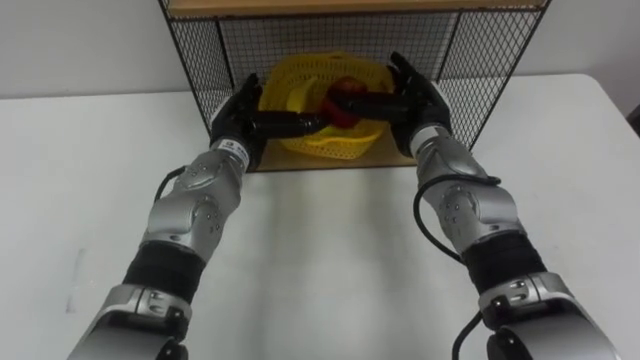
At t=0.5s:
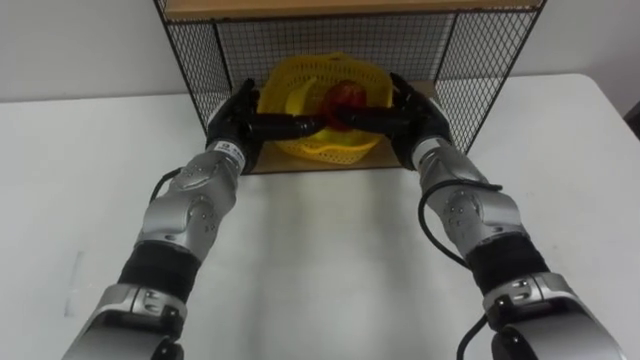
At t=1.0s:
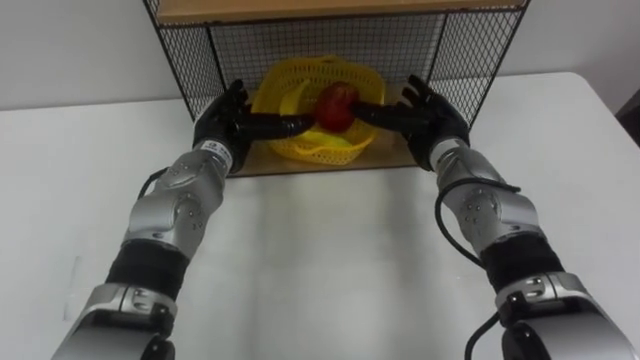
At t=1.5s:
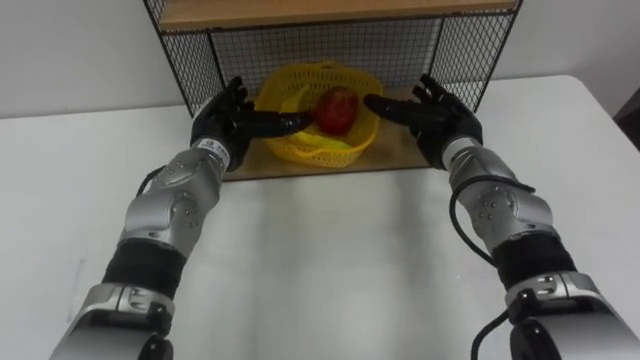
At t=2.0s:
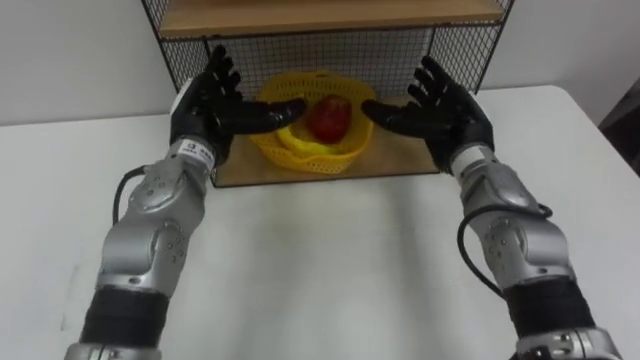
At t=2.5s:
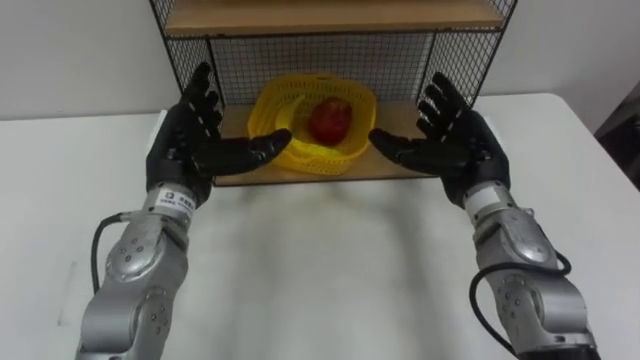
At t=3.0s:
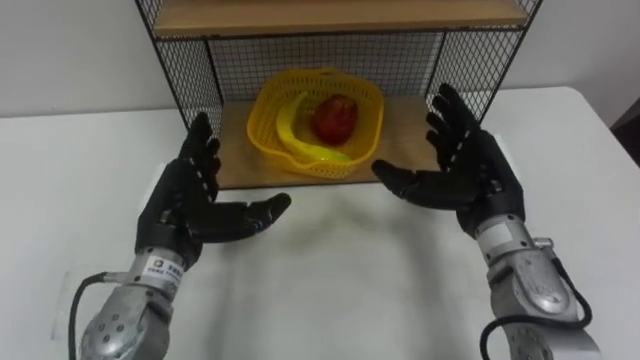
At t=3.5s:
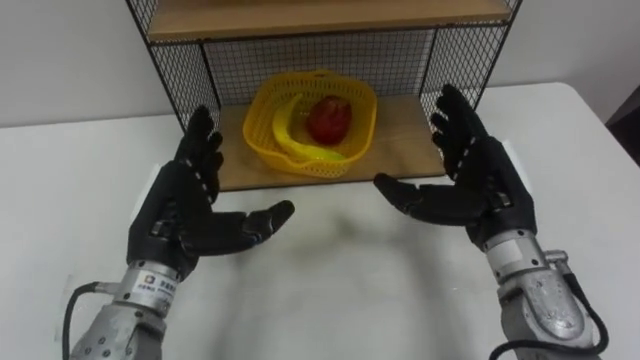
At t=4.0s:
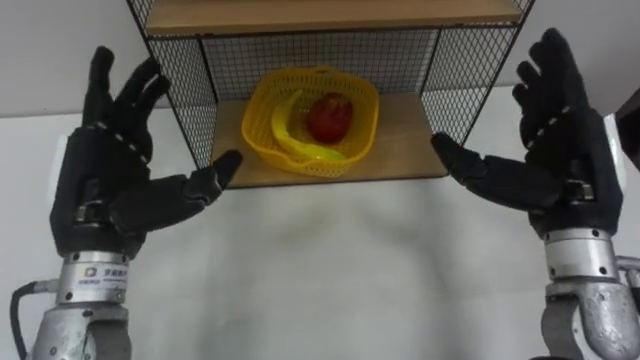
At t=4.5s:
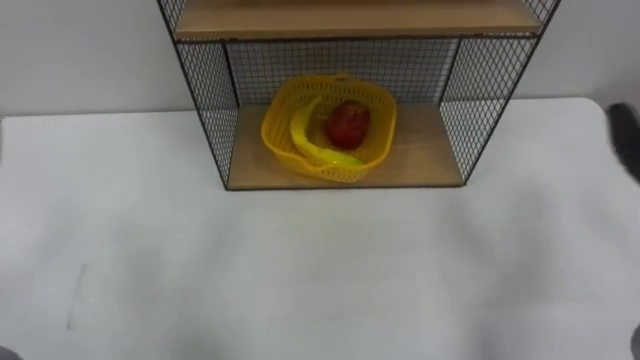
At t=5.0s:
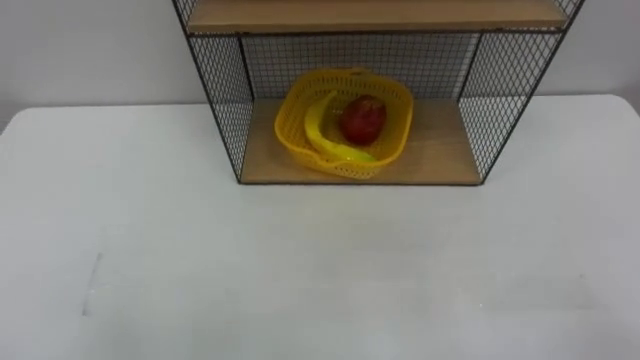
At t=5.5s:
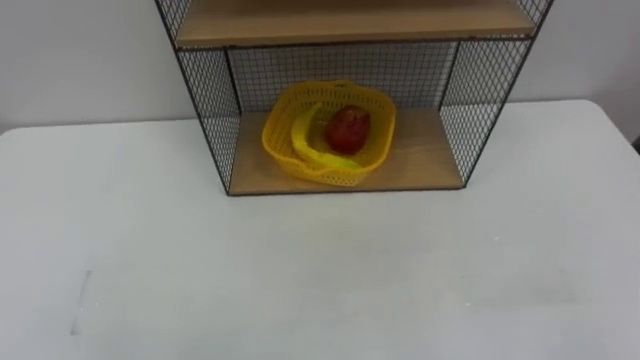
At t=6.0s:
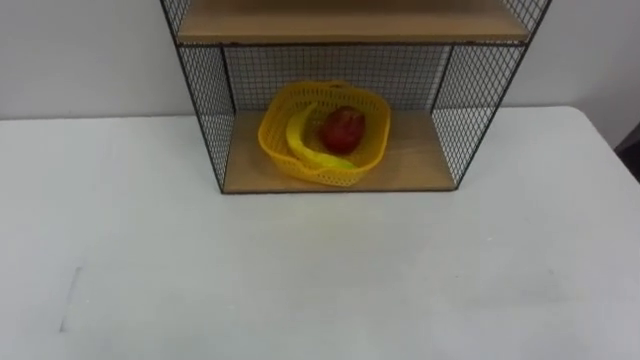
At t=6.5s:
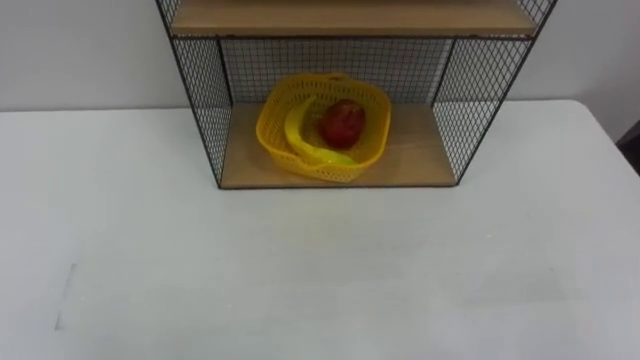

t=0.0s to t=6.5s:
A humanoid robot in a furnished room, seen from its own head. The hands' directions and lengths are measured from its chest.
Task of the whole recording: Put the fruit on the table into the basket, then place the basket on the shelf.
t=0.0s to t=2.0s: The right hand moves roughly 5 cm. The left hand shifts by approximately 5 cm.

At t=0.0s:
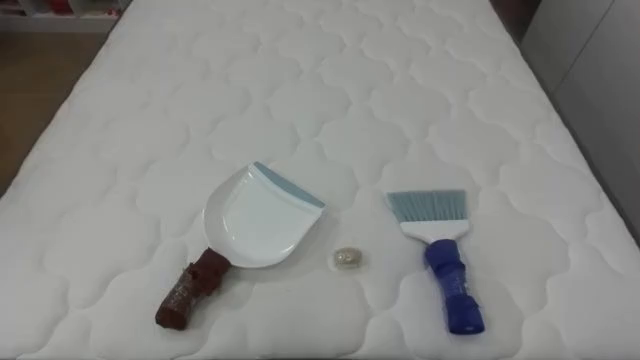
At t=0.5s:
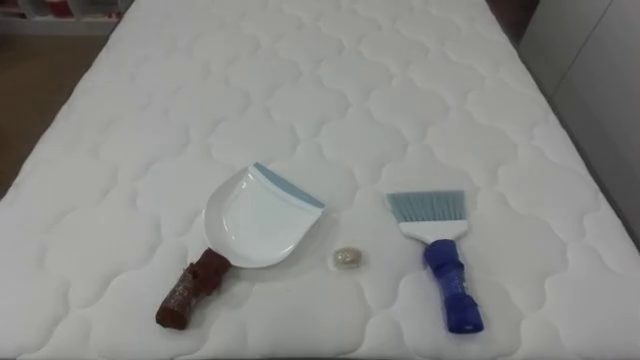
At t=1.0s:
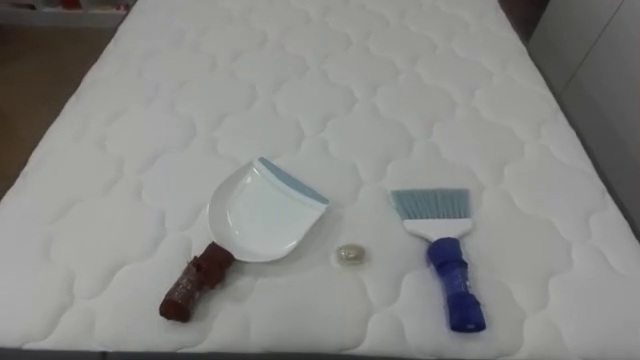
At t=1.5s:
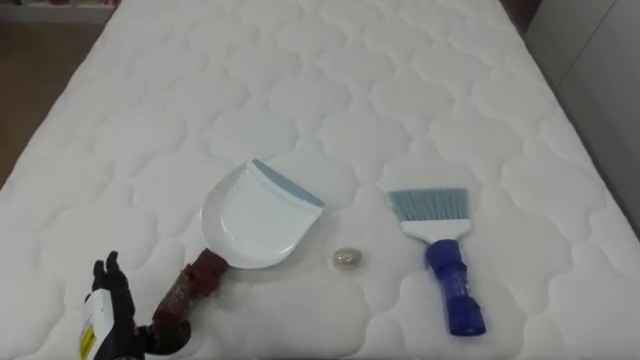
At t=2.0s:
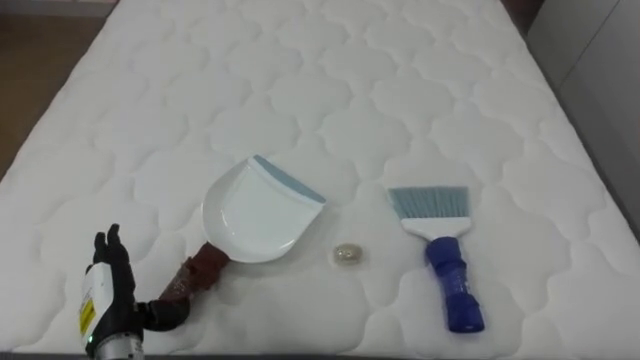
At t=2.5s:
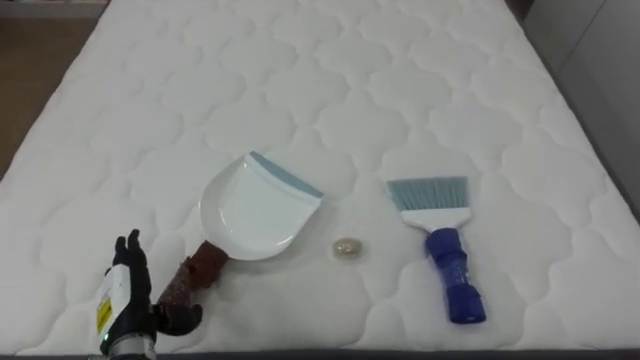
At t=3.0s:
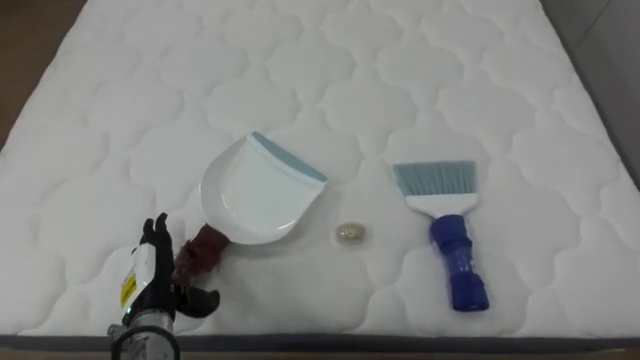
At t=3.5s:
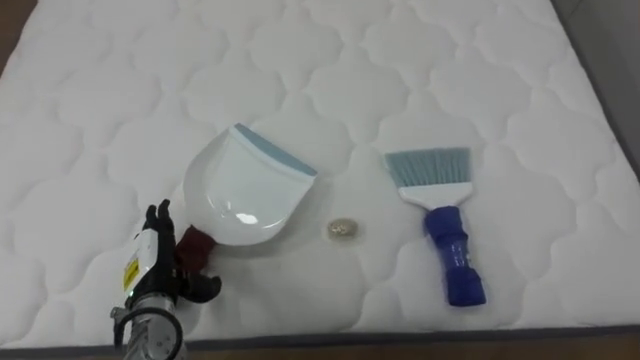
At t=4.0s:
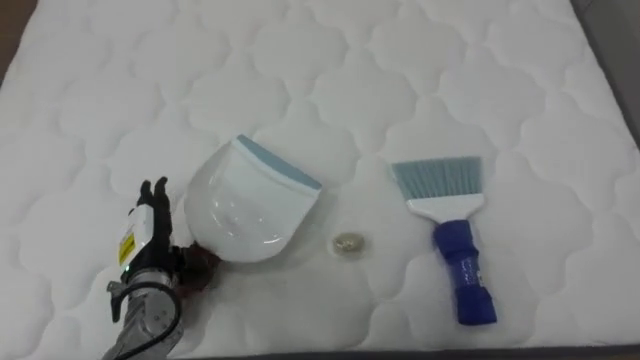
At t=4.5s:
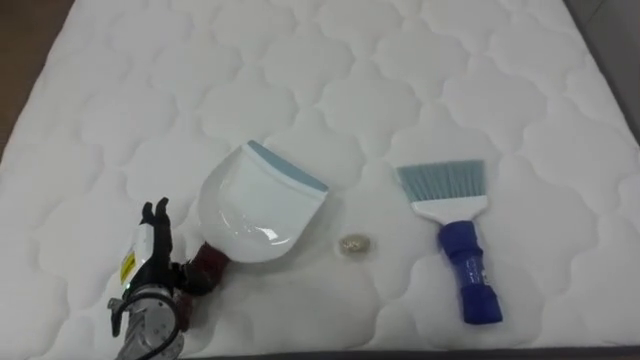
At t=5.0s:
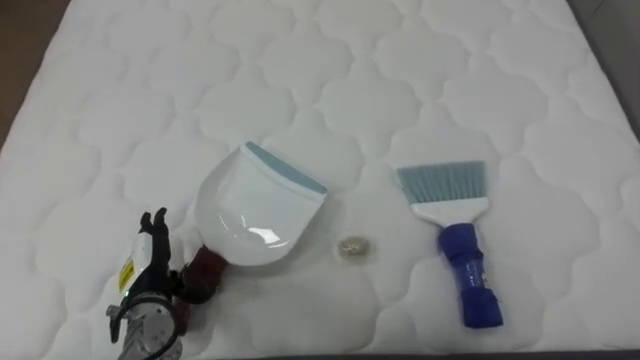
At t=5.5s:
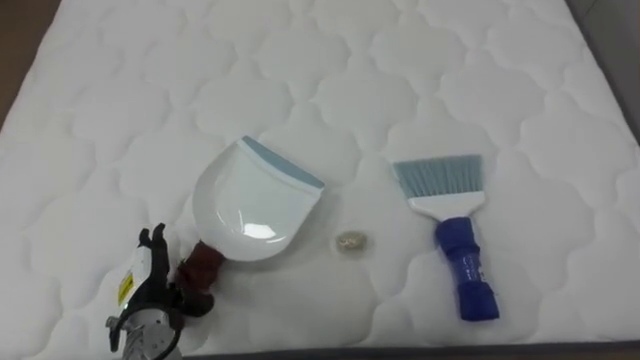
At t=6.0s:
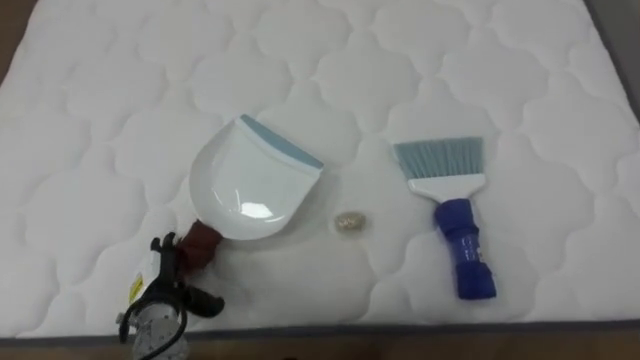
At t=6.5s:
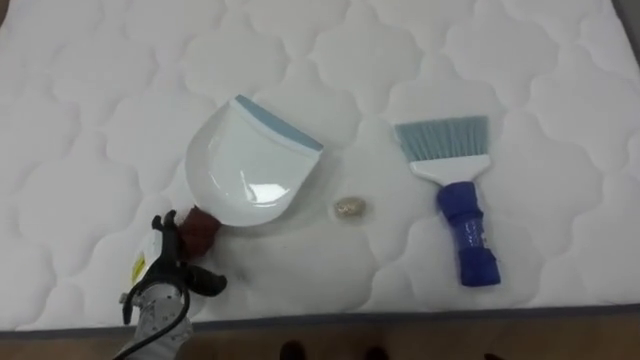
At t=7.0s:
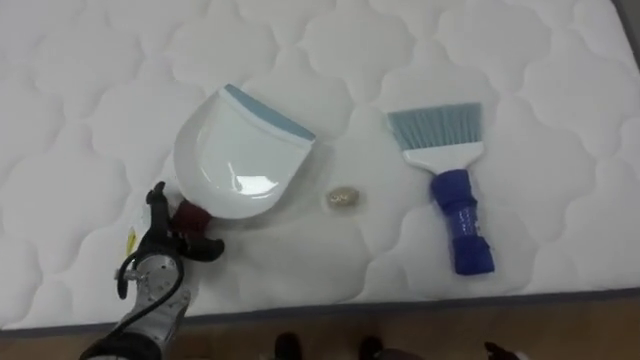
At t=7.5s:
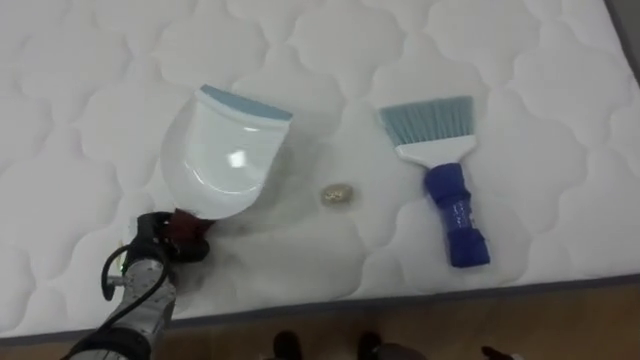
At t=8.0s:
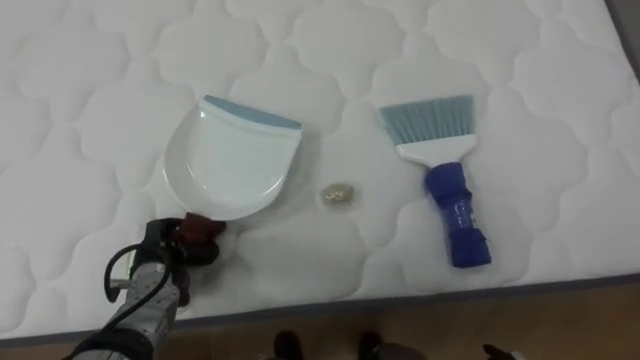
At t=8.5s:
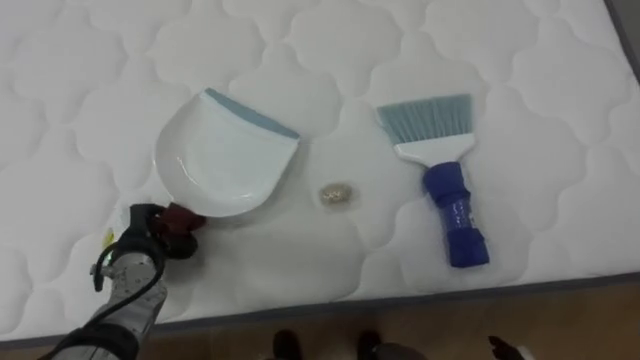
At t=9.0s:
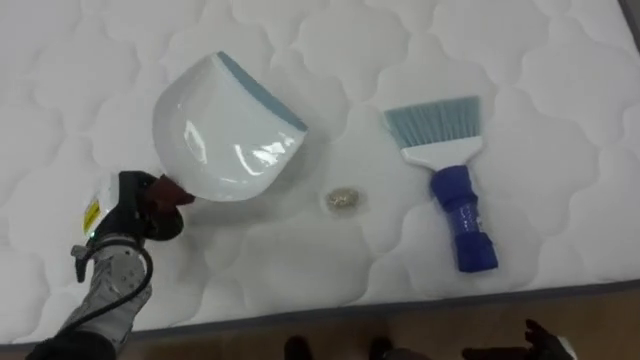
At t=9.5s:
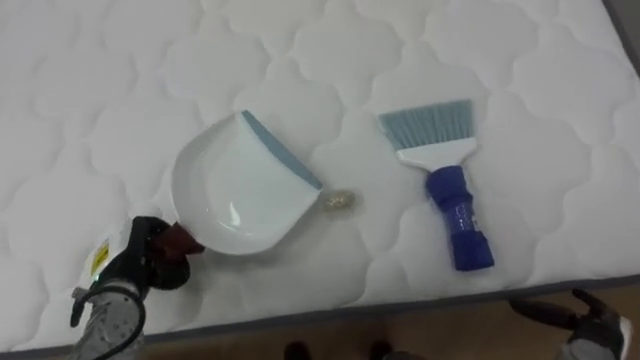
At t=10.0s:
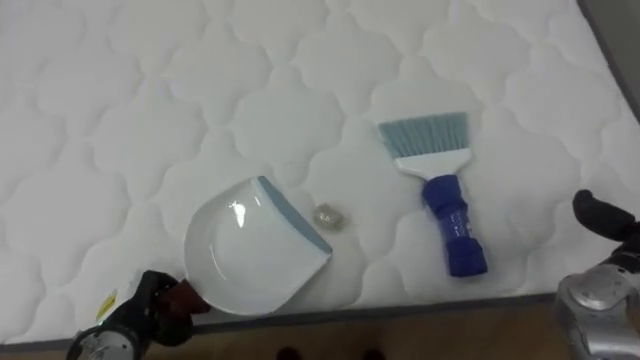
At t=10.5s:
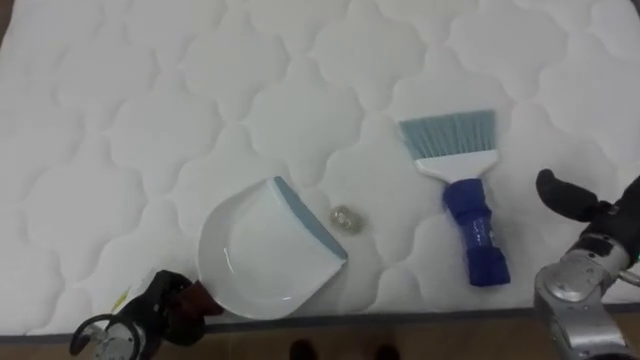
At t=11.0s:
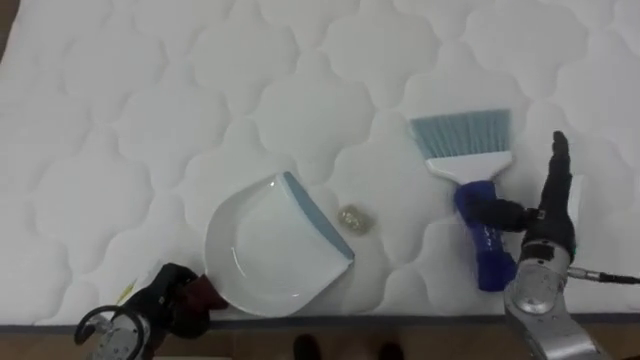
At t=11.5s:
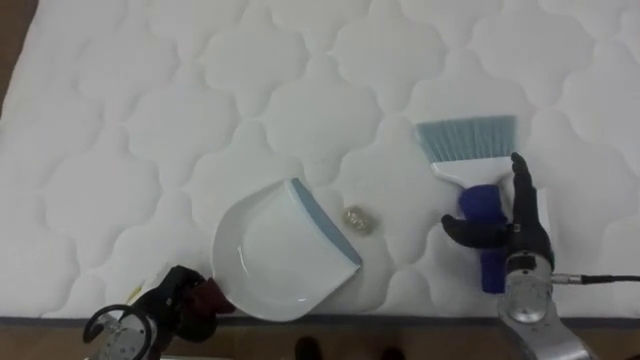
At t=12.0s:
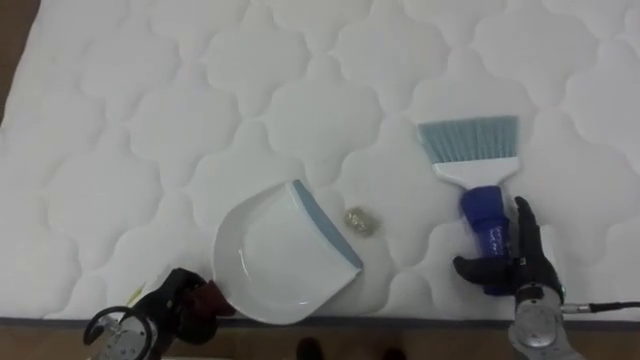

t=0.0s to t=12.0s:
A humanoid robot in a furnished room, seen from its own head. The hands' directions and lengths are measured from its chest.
Task of the whole recording: Pick up the brush on your right and the dustpan on your left. Use the brush to sweep the crumpled paper on the bed into the dustpan, then turn left and empty it into the basket.
t=2.0s to t=4.0s: The left hand goes about 10 cm forward.
t=4.0s to t=6.0s: The left hand is displaced downward by about 5 cm.
t=6.0s to t=8.0s: The left hand ends up roughly 5 cm from where it was, and closes up.
t=8.0s to t=10.0s: The left hand heads backward, covering about 10 cm.

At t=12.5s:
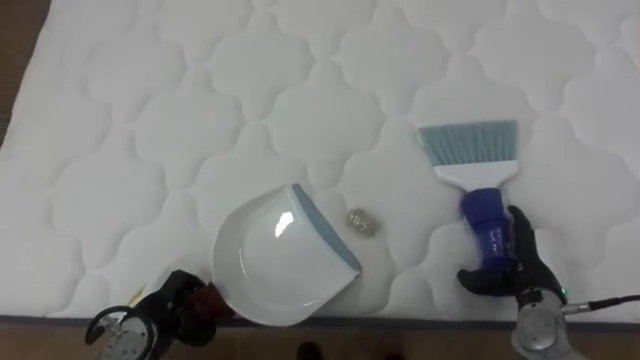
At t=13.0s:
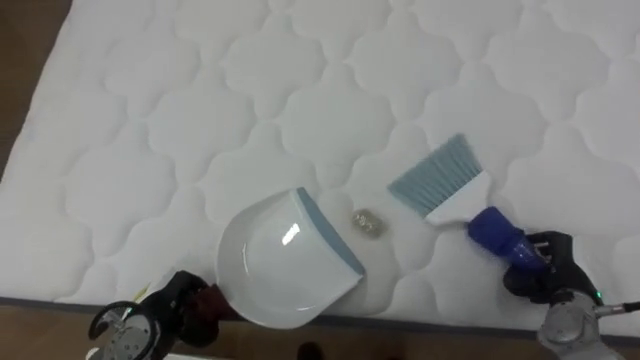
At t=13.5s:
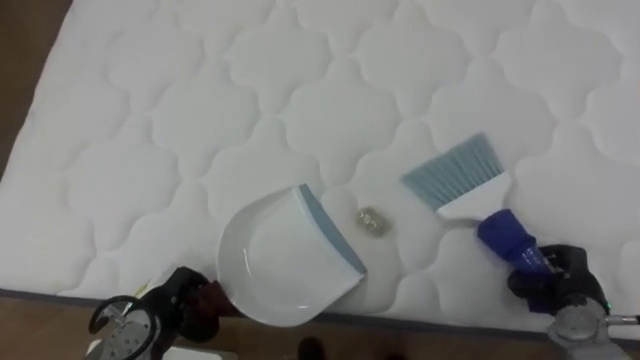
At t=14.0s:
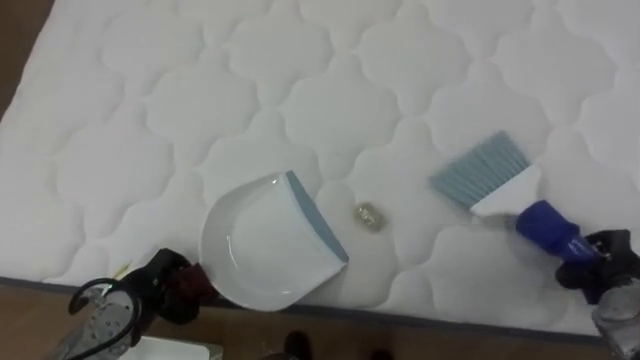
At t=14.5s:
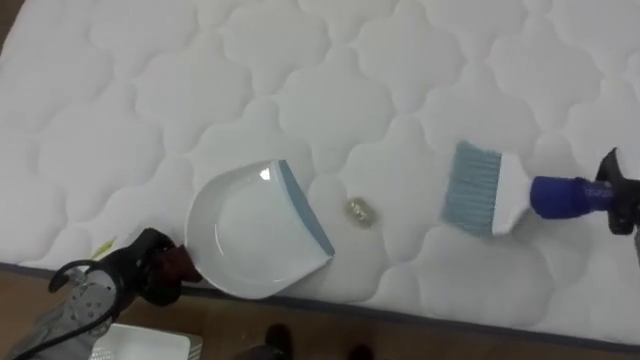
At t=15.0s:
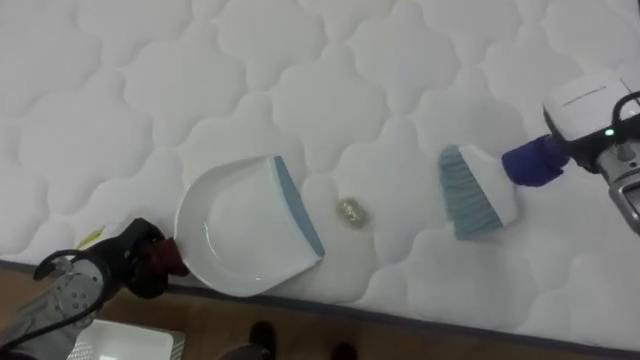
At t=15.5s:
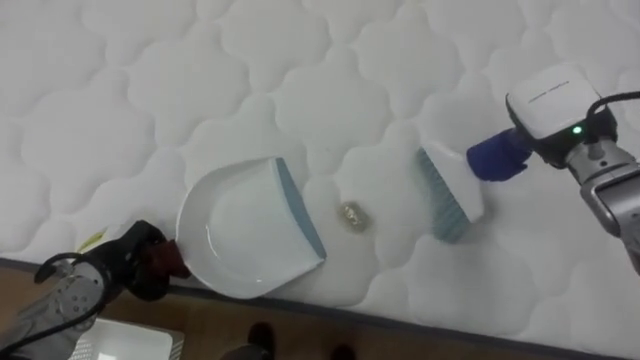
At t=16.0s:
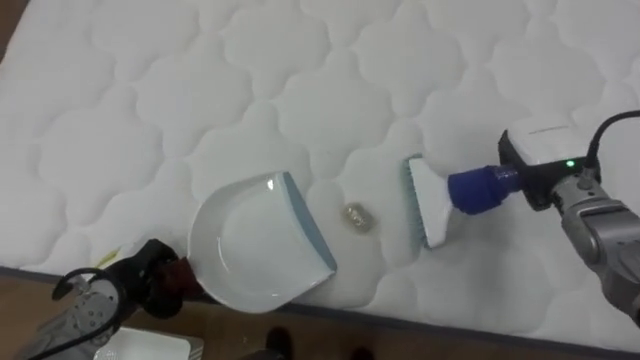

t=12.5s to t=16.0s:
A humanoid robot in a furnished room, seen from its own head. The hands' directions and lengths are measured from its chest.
Task of the whole recording: Pick up the brush on your right and the dustpan on your left. Use the brush to sweep the crumpled paper on the bed into the dustpan, then turn left and empty it into the basket.
t=12.5s to t=14.5s: The left hand shifts by roughly 10 cm.
t=14.5s to t=16.0s: The right hand shifts approximately 10 cm to the left.
